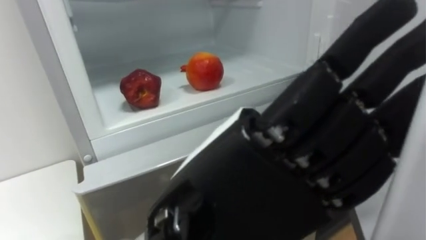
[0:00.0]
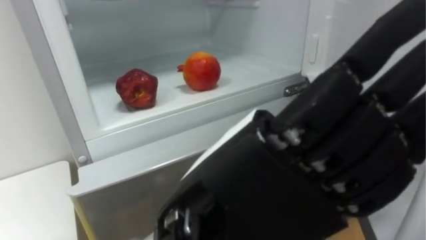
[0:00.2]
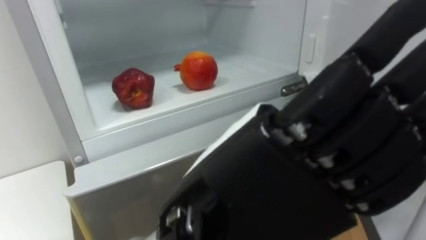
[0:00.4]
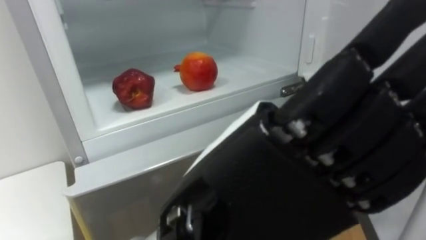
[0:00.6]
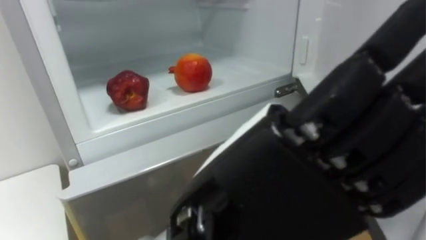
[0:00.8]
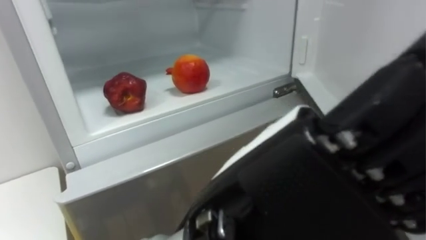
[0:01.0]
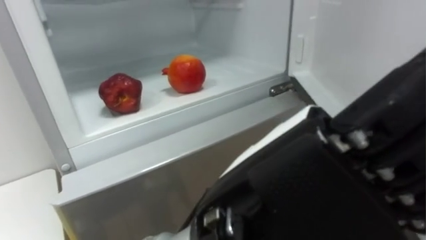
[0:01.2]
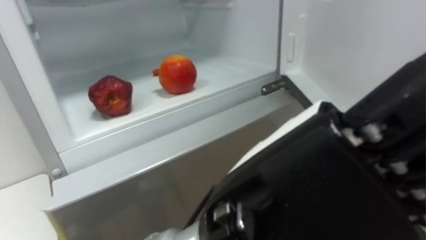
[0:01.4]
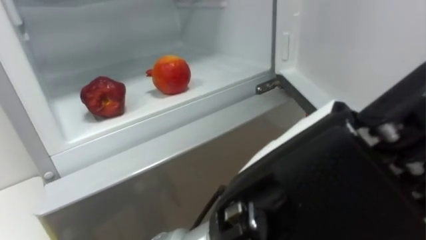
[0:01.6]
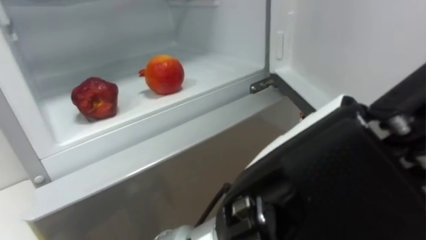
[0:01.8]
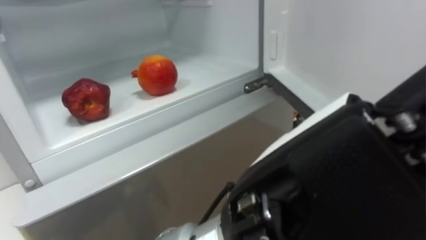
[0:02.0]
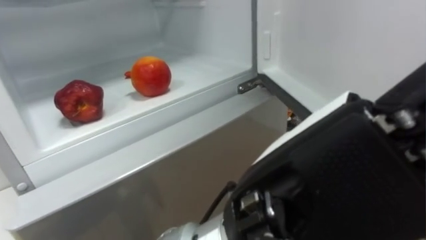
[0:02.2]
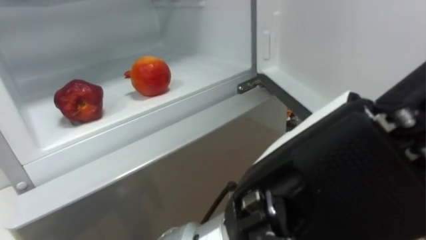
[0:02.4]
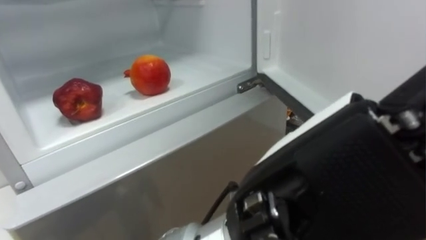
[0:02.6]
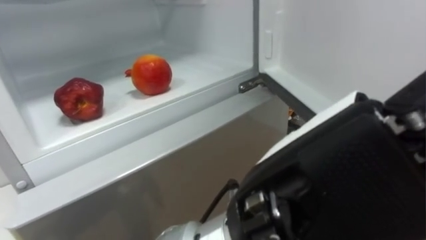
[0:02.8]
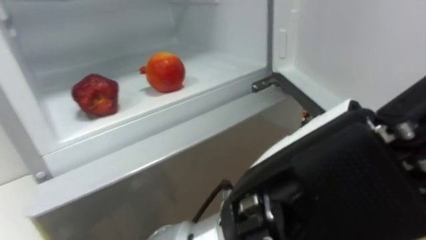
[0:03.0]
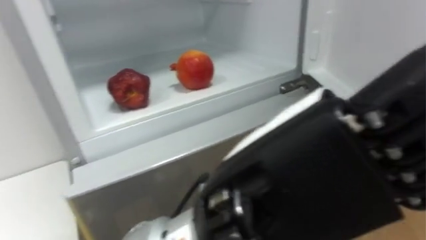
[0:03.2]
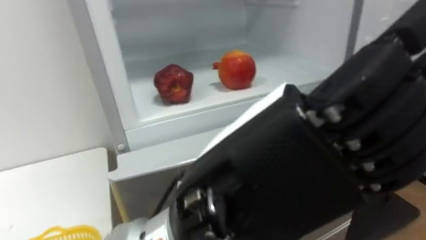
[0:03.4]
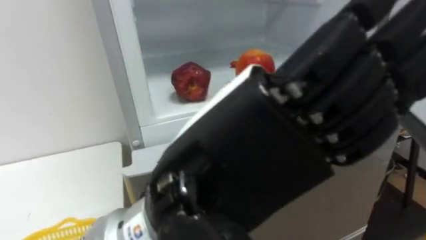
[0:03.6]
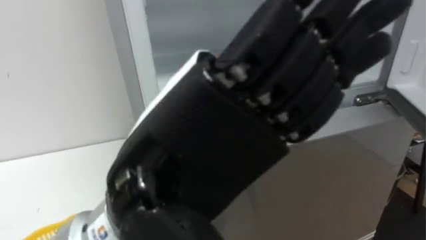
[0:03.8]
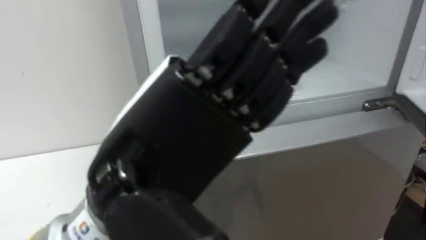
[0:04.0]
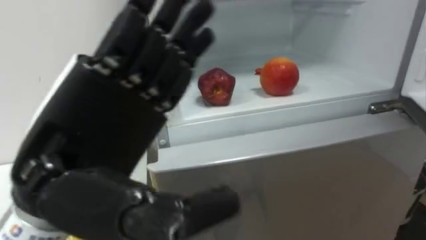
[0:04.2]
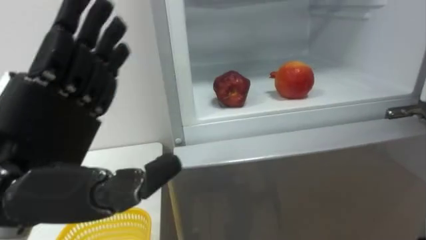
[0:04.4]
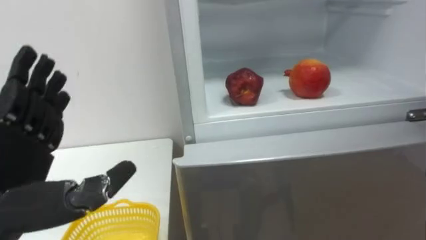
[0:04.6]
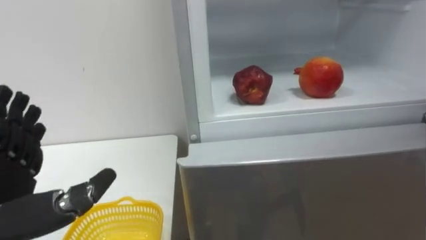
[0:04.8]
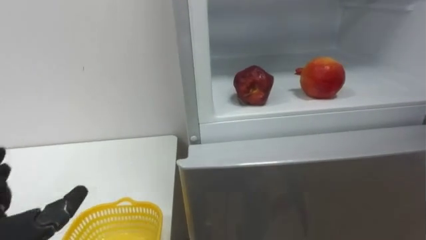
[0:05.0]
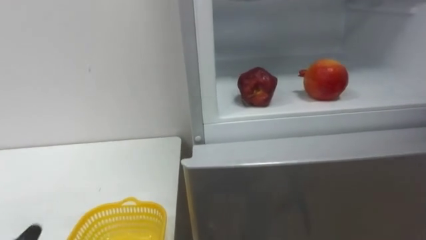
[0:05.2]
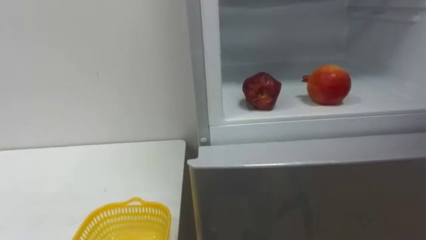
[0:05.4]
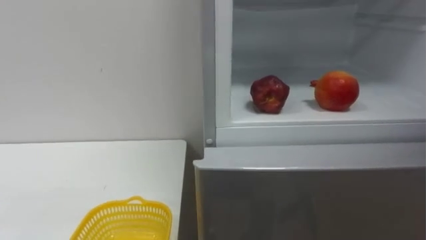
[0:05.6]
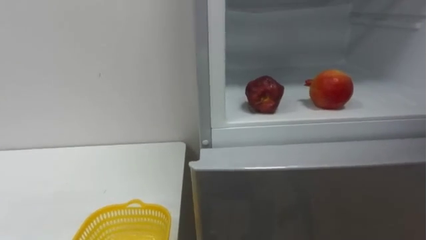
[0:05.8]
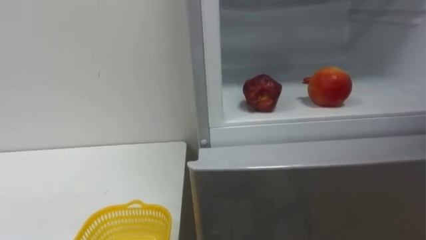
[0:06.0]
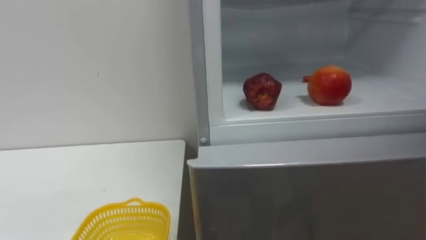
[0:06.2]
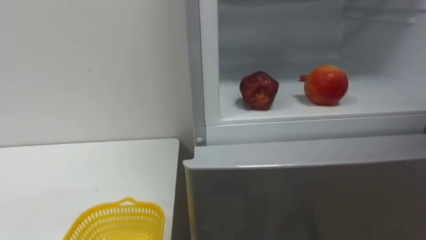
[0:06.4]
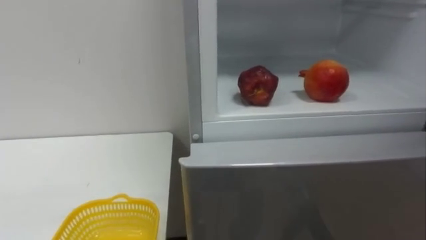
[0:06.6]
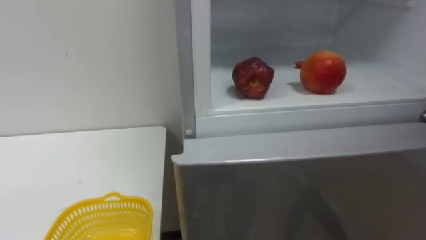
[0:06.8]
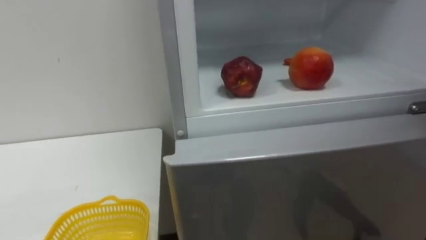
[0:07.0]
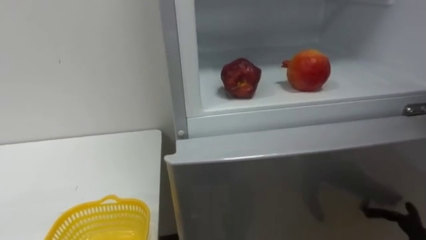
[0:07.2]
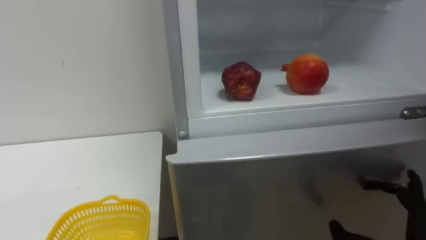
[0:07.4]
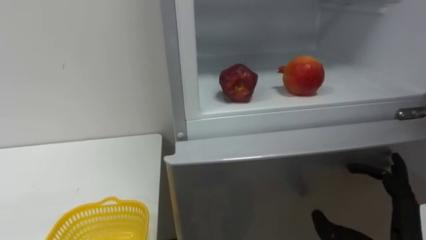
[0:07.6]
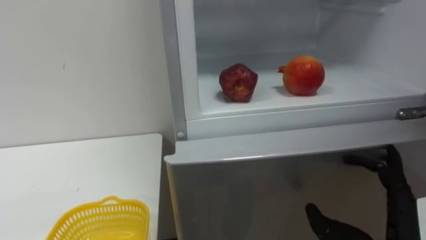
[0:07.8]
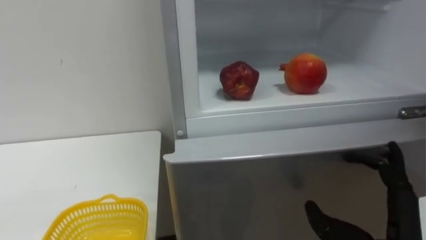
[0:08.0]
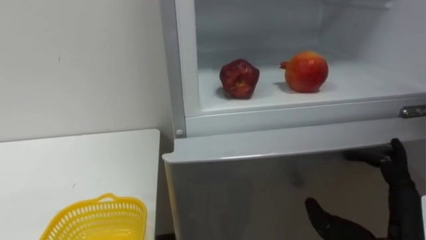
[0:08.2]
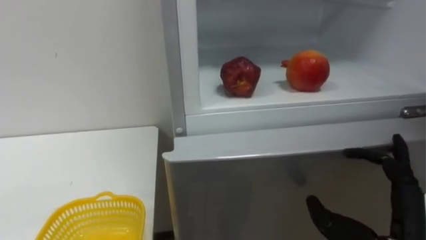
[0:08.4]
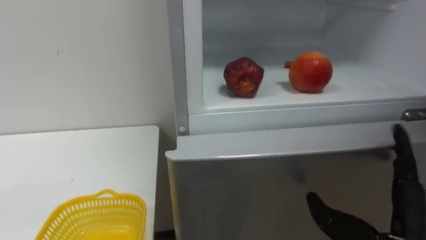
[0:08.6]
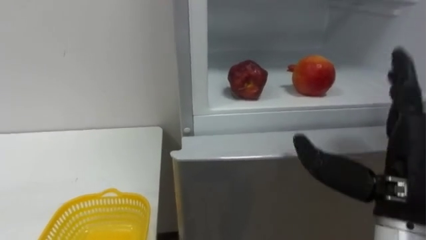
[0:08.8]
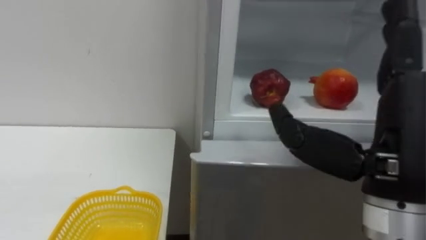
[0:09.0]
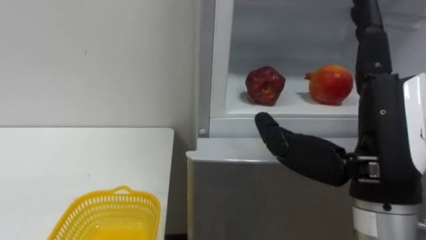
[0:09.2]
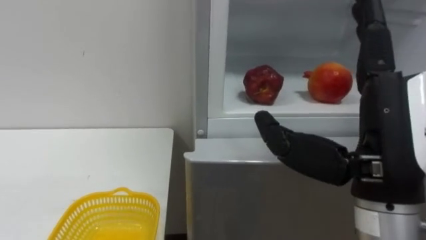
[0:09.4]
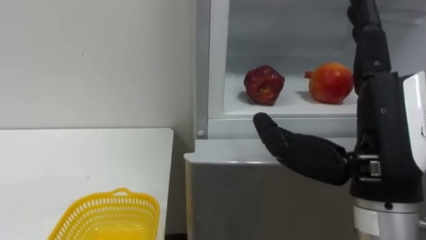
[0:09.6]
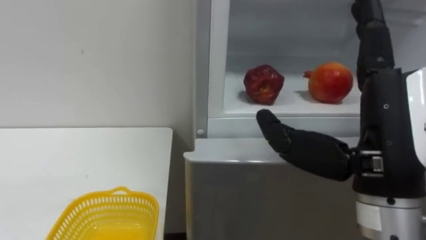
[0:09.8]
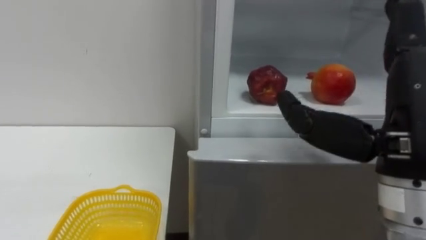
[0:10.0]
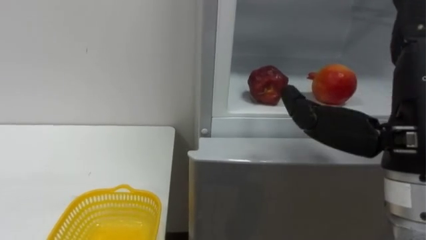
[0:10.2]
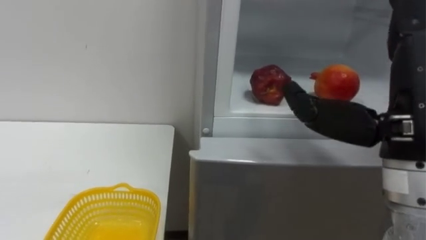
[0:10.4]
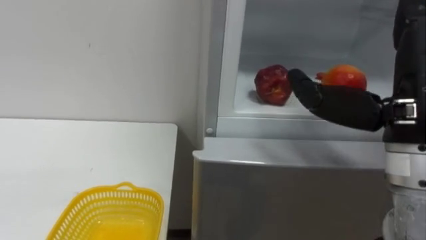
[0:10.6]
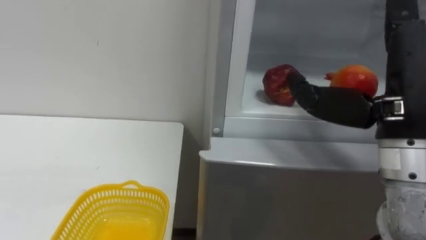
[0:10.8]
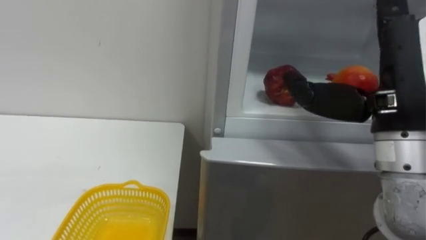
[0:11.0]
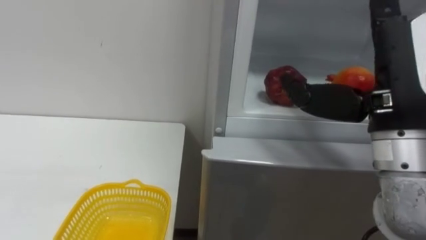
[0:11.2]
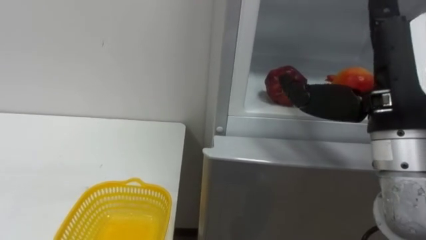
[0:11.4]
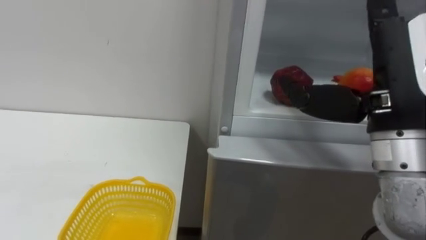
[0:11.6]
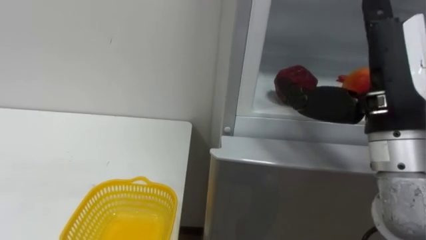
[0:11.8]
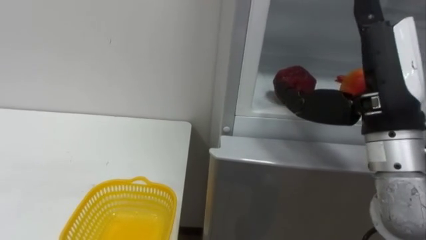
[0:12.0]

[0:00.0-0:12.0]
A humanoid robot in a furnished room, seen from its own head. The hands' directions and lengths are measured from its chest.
Task of the whole recording: Open the refrigerator door, take out the apple and the pomegranate, place them in the fruit basket on the left, and close the refrigerator door.
0:03.0 to 0:04.4: The left hand moves to the left, approximately 20 cm.
0:07.6 to 0:09.0: The right hand moves upward, about 15 cm.

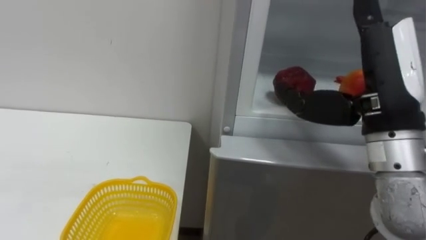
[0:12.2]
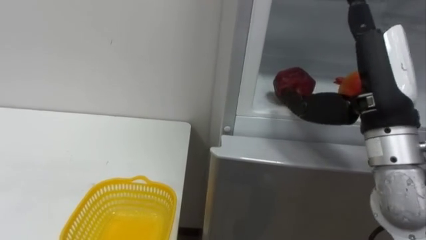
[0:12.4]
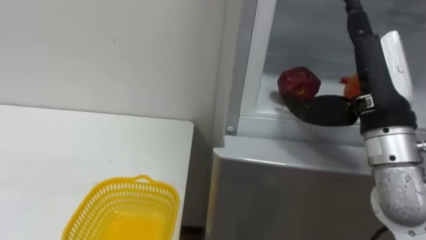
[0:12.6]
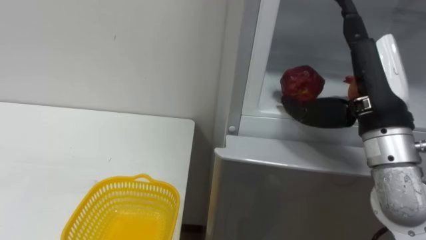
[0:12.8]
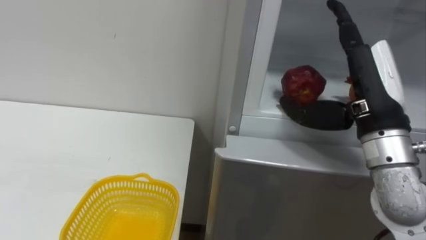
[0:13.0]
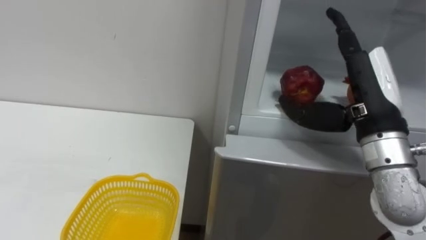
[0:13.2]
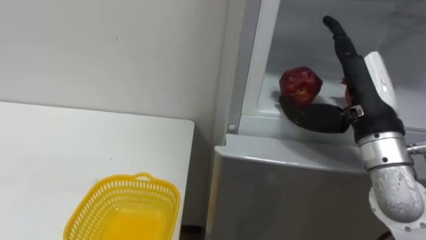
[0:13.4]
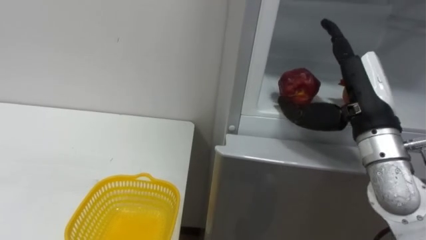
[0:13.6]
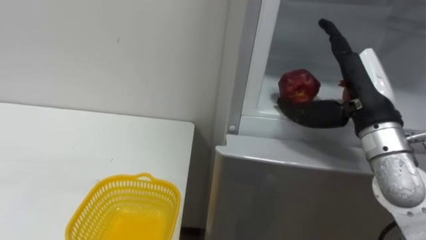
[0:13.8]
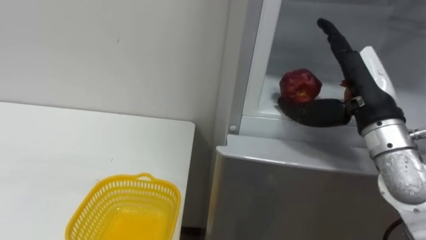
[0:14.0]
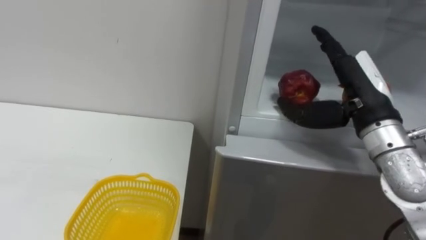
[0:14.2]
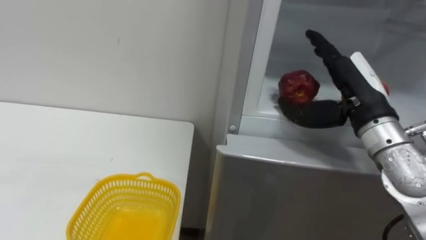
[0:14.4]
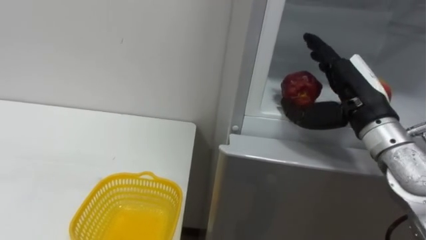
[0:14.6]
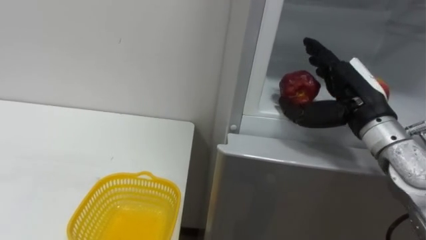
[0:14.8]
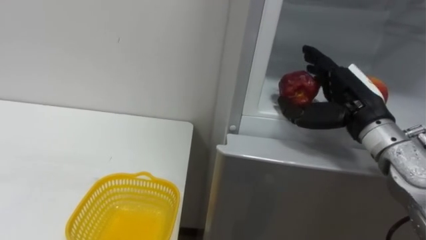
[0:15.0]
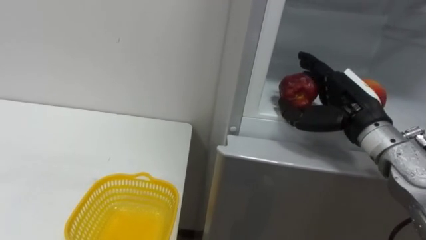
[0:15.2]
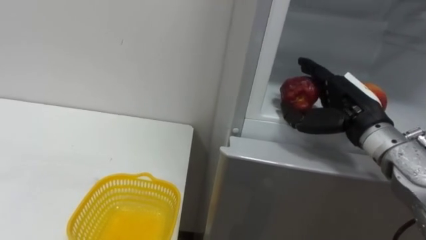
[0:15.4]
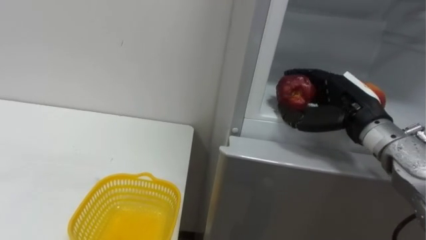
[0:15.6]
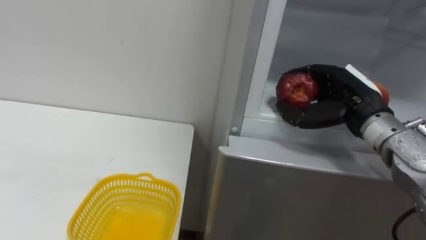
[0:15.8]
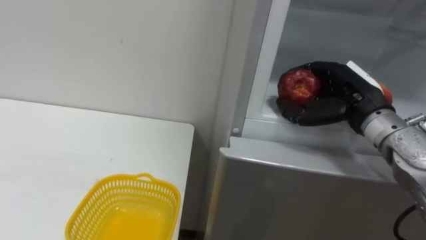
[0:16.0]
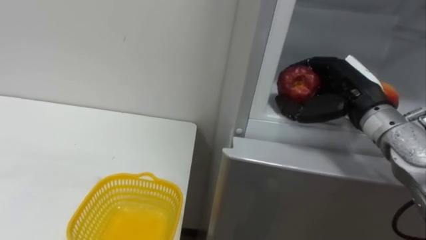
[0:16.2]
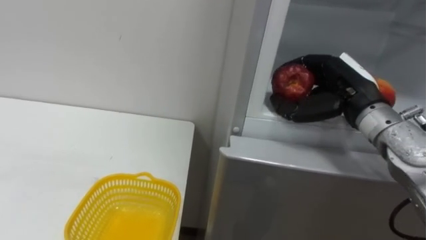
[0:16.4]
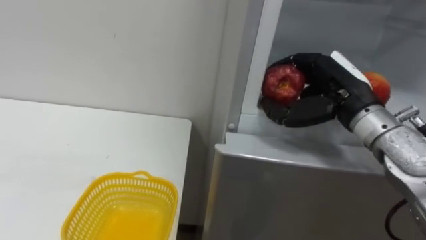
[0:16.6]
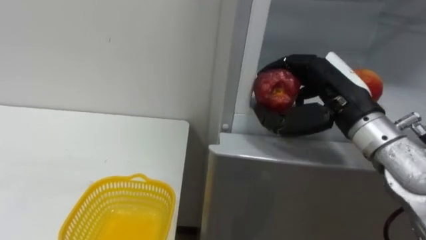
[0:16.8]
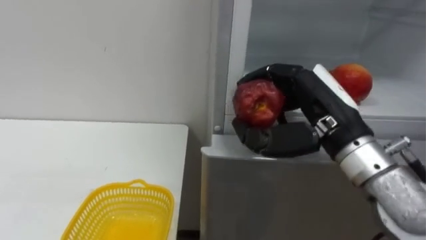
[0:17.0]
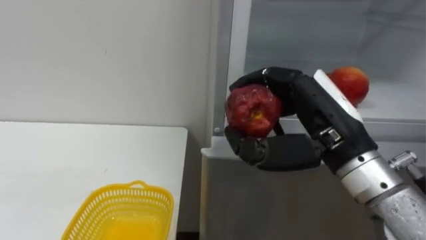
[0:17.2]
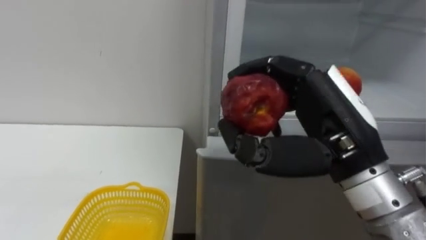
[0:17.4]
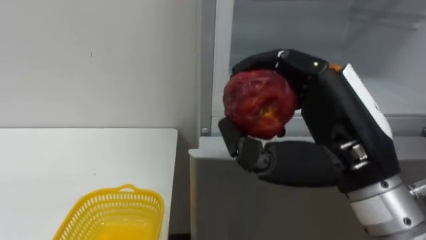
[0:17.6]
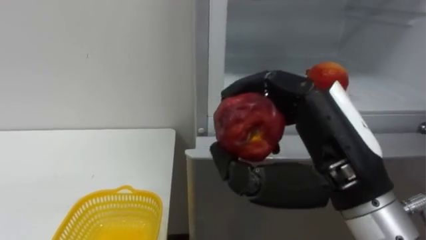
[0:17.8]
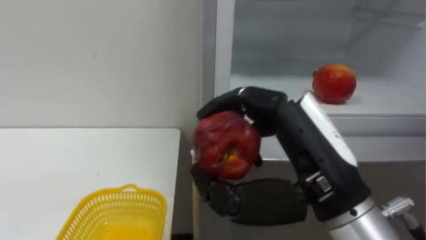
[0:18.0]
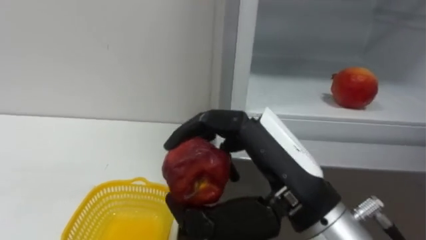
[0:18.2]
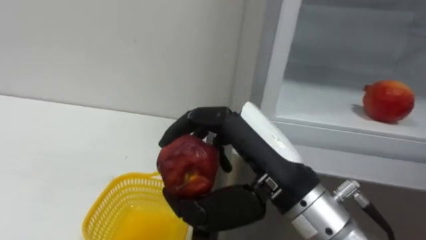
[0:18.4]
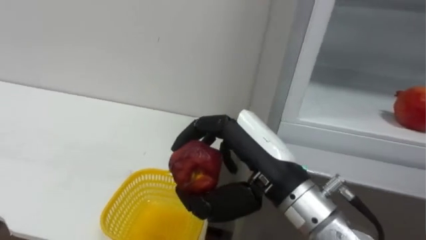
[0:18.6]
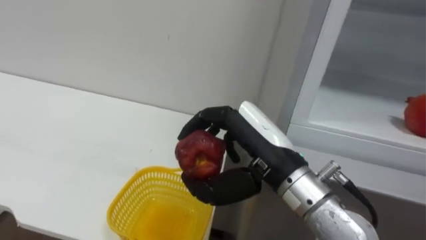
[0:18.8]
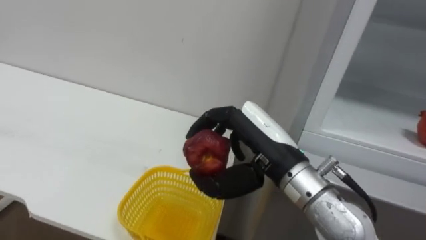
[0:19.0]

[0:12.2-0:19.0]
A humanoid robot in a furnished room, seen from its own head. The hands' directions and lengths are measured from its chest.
Task of the whole recording: Open the refrigerator door, take out the apple and the pomegranate, place them in the fruit basket on the left, and close the refrigerator door.
0:12.2 to 0:13.6: The right hand heads forward and downward, covering roughly 10 cm.
0:15.0 to 0:16.2: The right hand closes up.
0:16.2 to 0:17.6: The right hand travels backward and to the left by roughly 15 cm.
0:17.6 to 0:19.0: The right hand moves to the left, downward and forward, approximately 10 cm.
